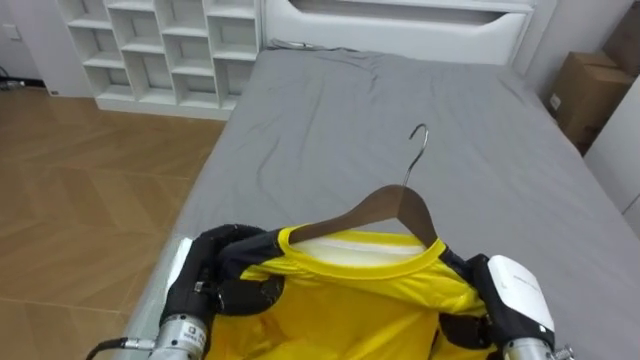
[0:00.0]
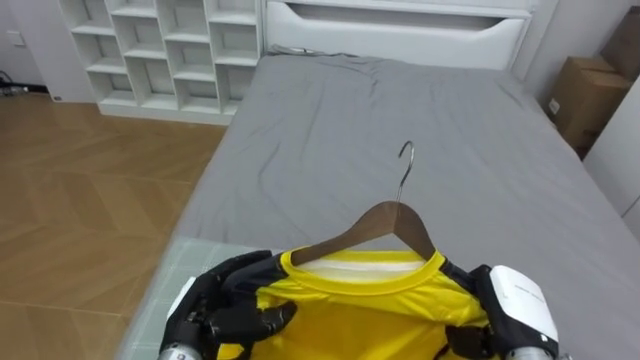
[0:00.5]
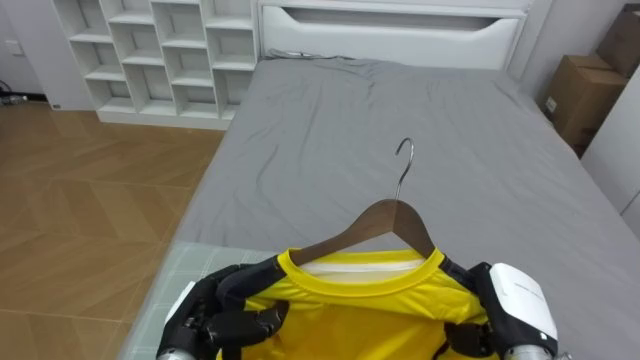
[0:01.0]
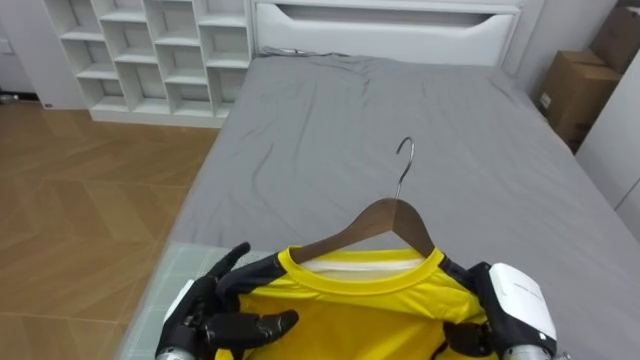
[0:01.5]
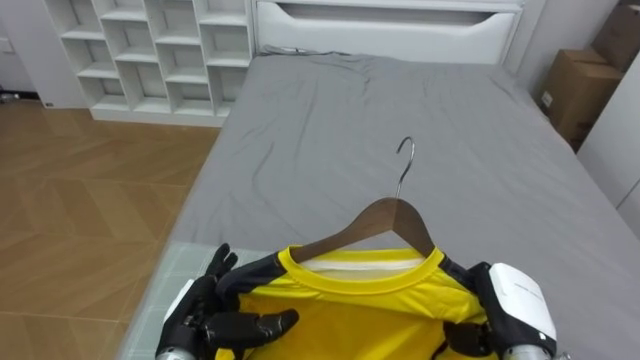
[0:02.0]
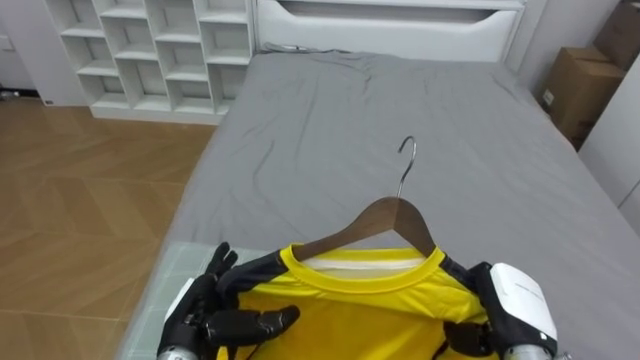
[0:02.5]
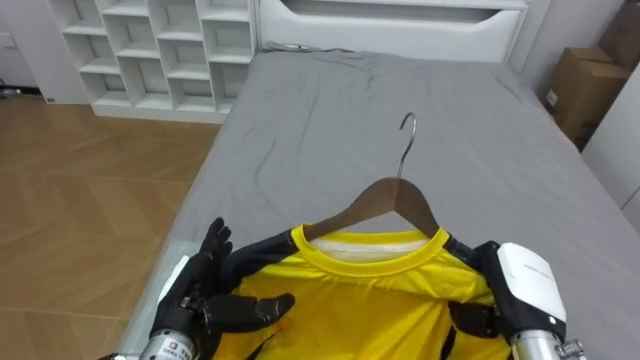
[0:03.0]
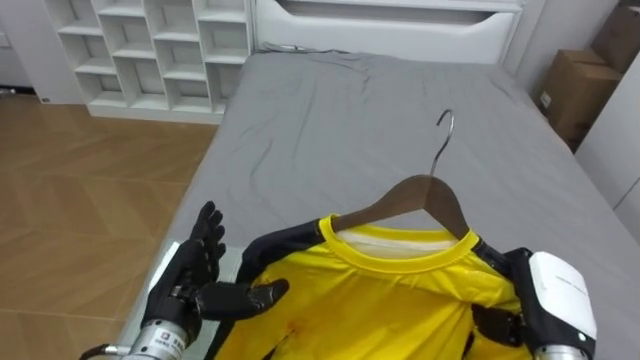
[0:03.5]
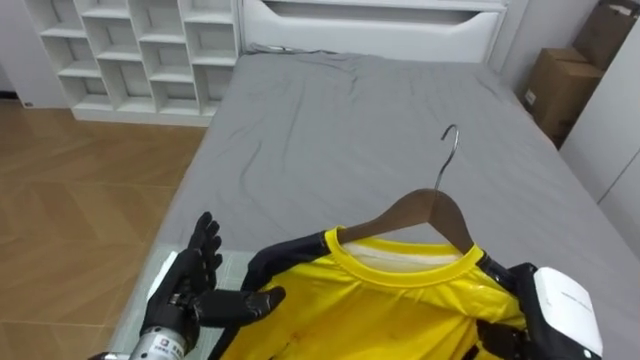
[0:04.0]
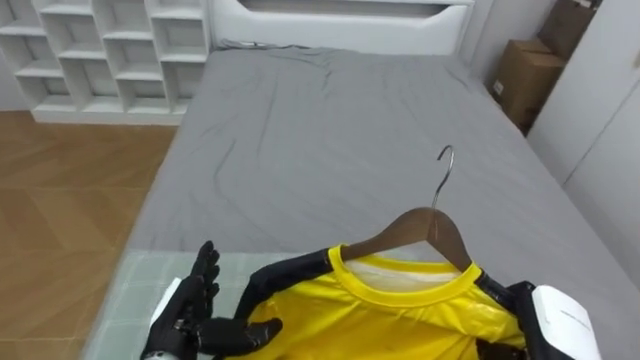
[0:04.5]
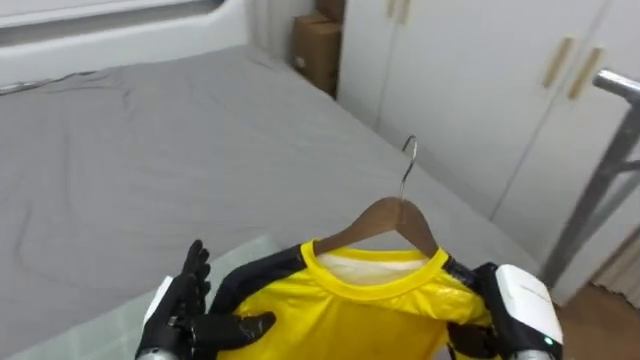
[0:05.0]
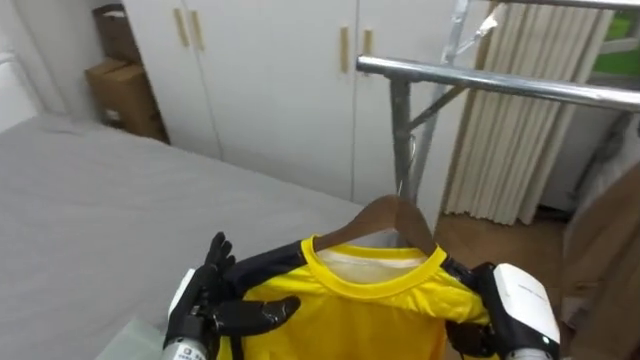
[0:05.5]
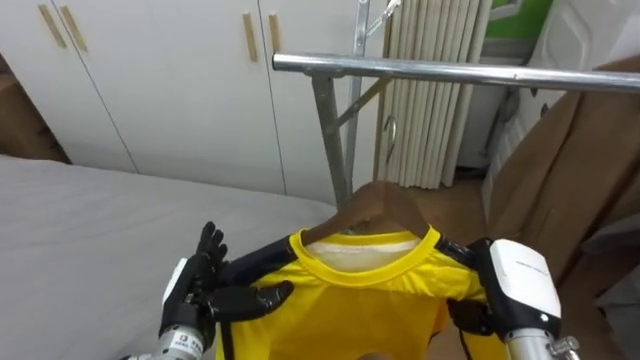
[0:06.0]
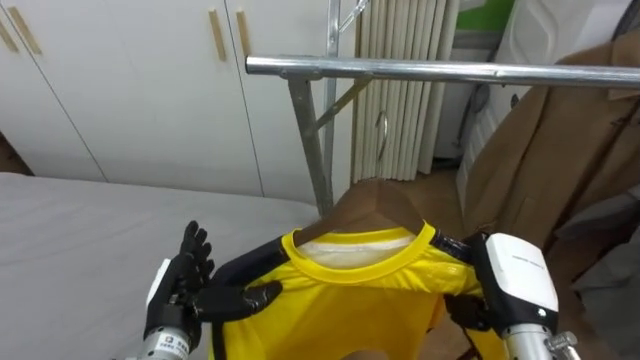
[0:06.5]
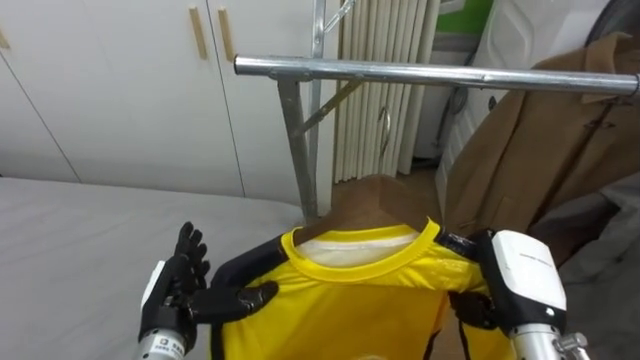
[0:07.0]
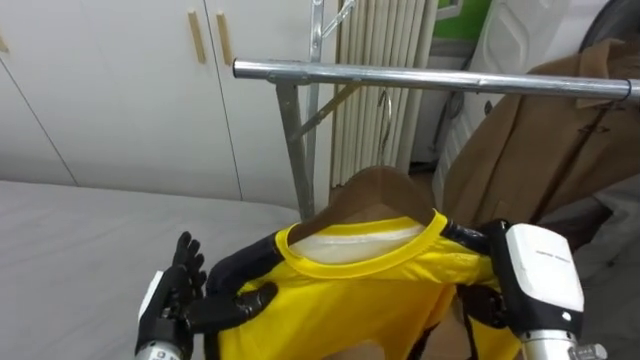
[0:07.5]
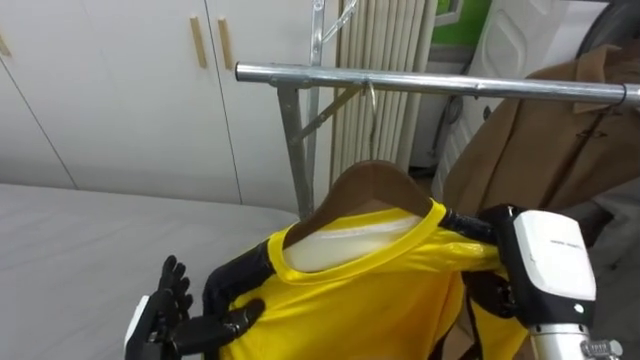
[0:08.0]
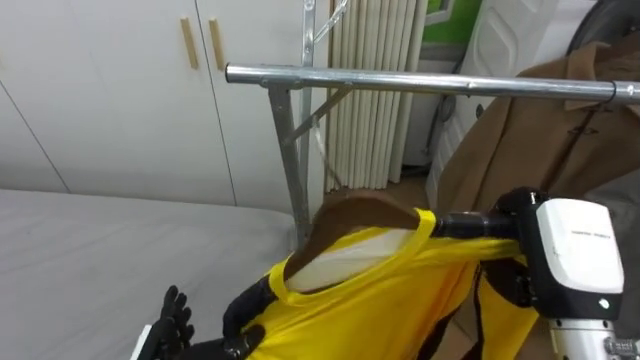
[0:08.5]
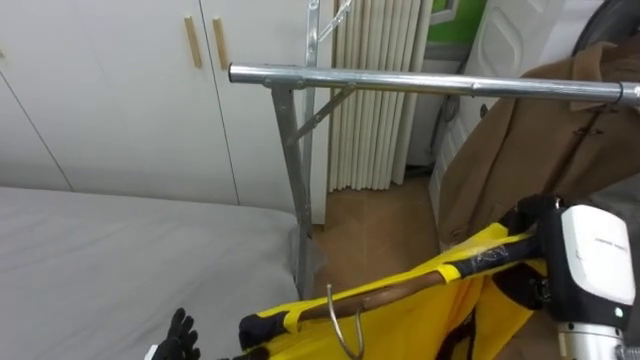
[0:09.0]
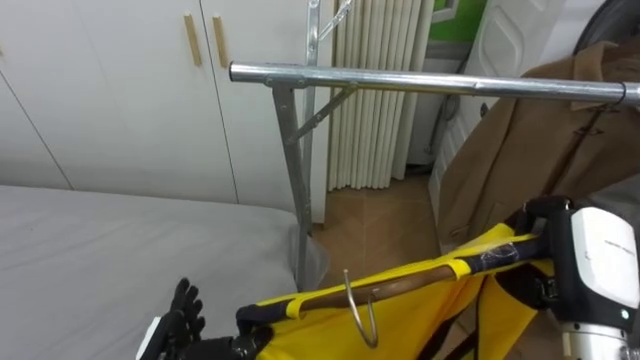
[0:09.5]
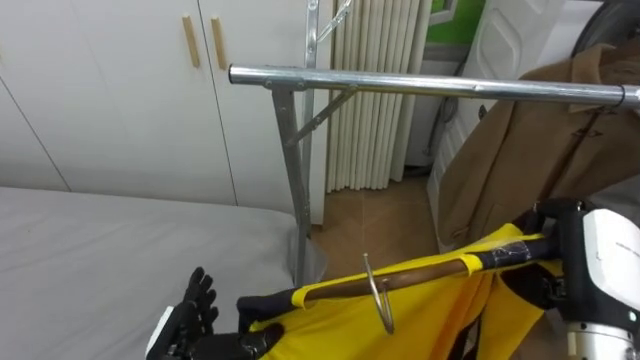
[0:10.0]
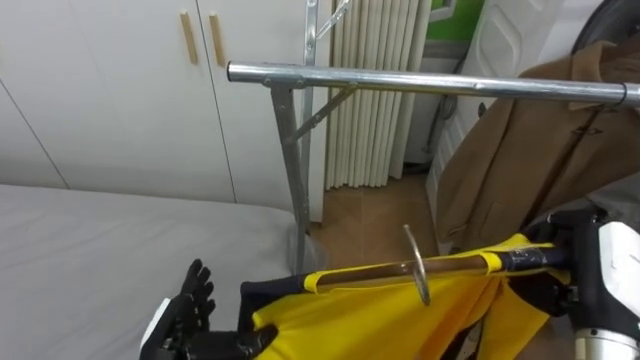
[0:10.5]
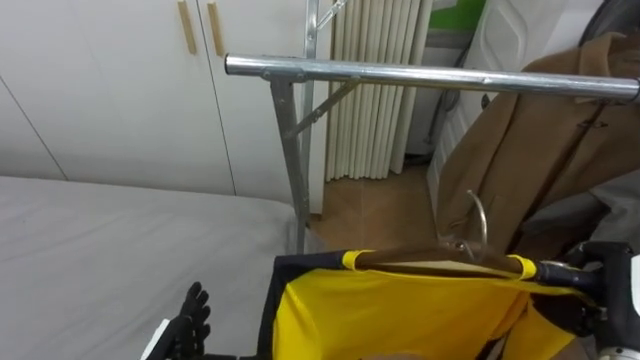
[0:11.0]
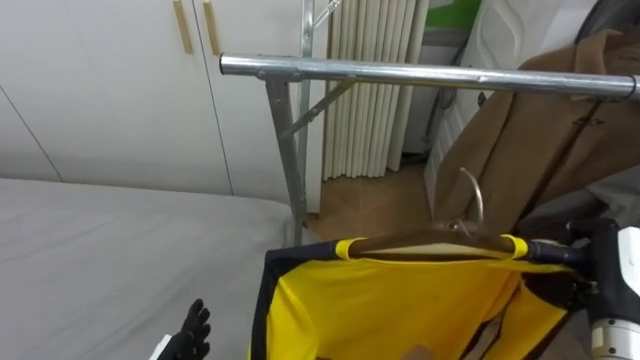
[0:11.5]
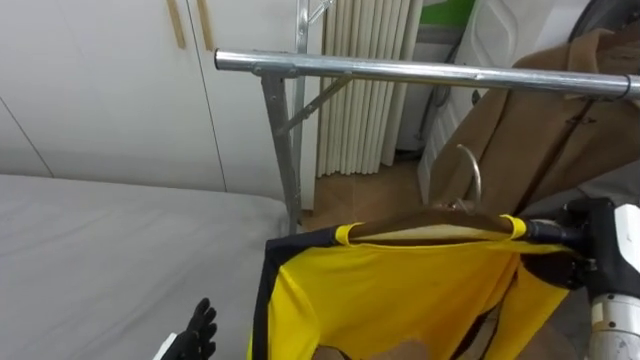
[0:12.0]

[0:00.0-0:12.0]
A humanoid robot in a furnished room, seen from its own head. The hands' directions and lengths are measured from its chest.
Task of the whole recording: Pick up the yellow shirt on the bed and hang it on the clothes rack on the right.
0:00.0 to 0:02.0: The left hand moves about 5 cm, and opens.
0:04.0 to 0:06.0: The robot turns to its right by some 80 degrees. The right hand ends up some 5 cm from where it was.
0:06.0 to 0:08.0: The right hand heads upward, covering roughly 5 cm. The left hand moves approximately 5 cm.
0:10.0 to 0:12.0: The right hand changes place by some 5 cm.

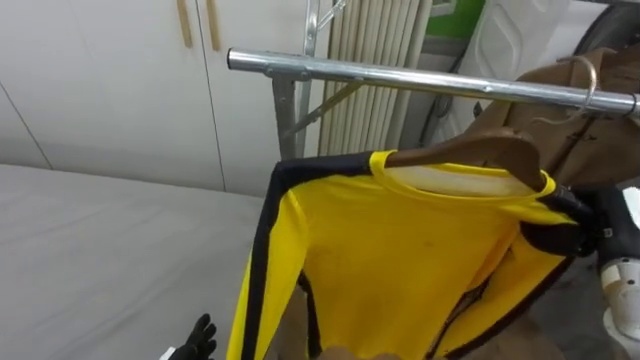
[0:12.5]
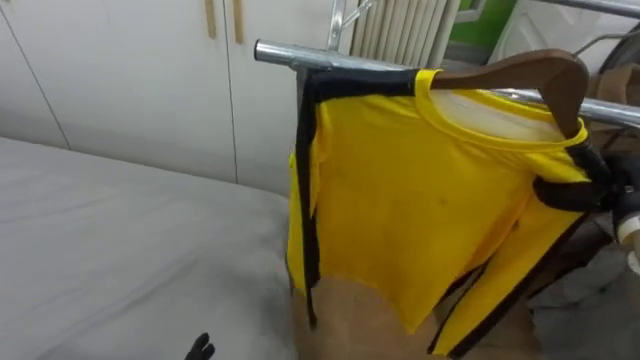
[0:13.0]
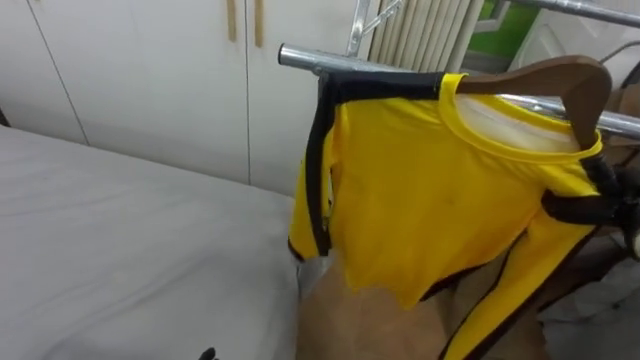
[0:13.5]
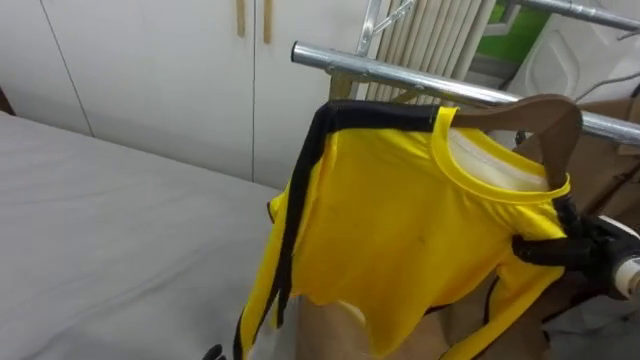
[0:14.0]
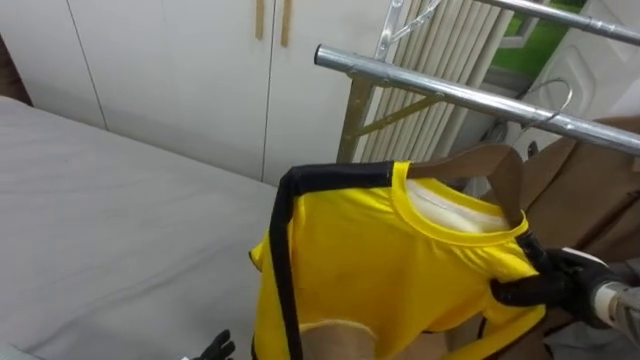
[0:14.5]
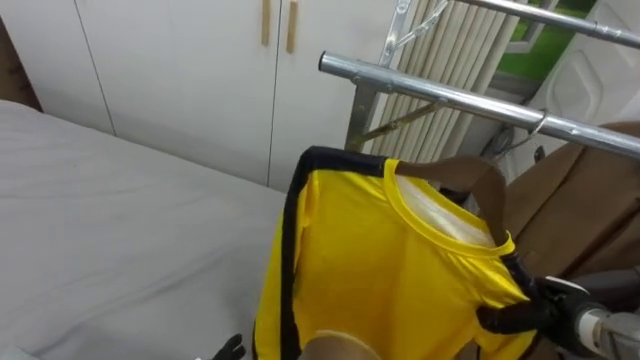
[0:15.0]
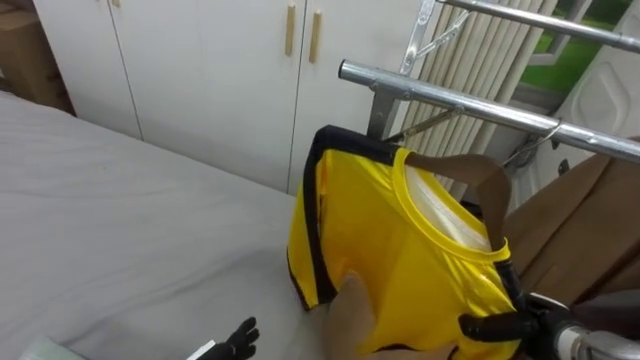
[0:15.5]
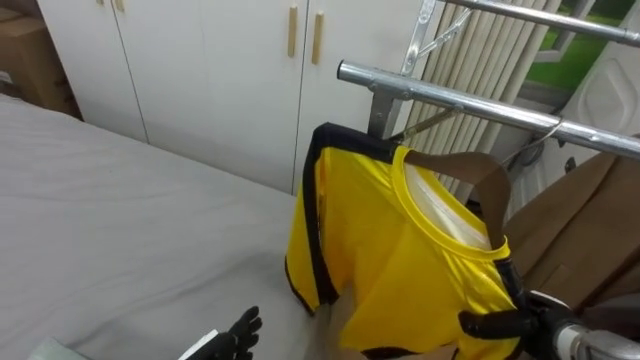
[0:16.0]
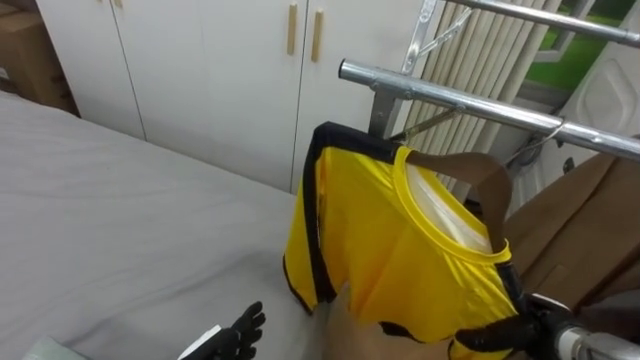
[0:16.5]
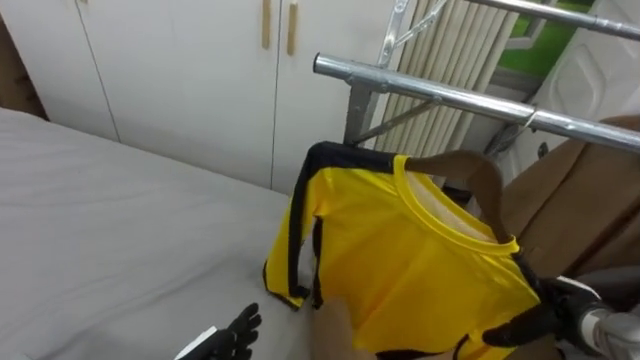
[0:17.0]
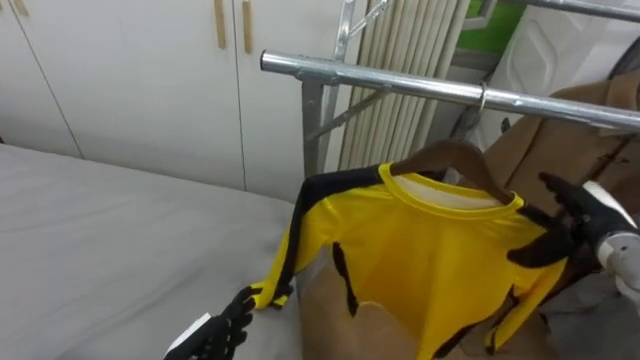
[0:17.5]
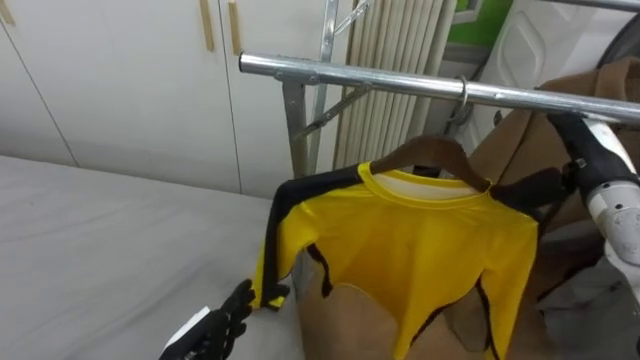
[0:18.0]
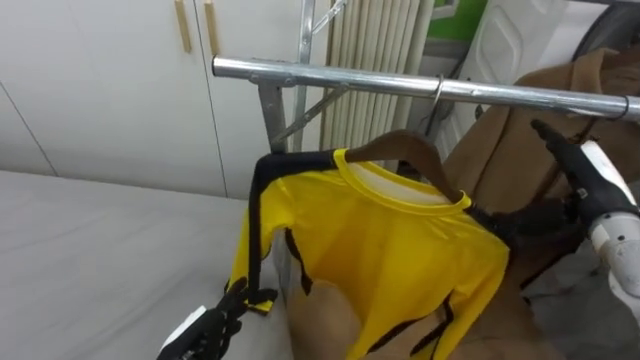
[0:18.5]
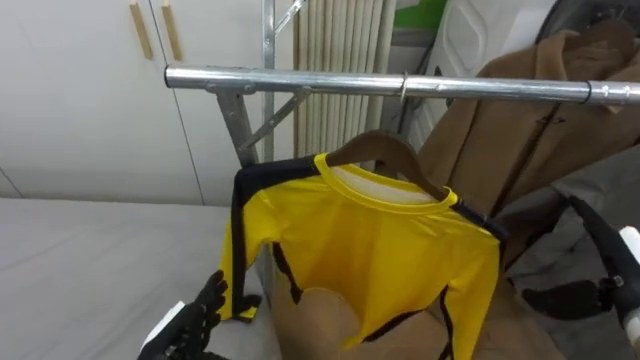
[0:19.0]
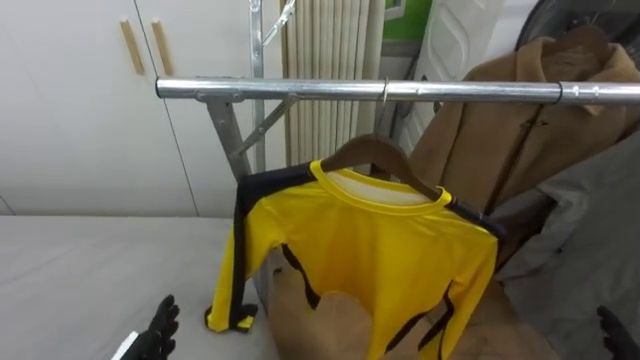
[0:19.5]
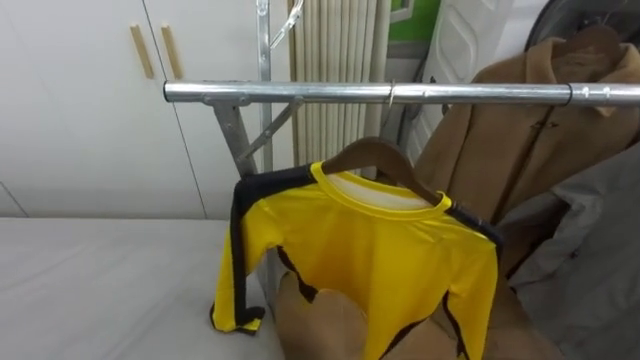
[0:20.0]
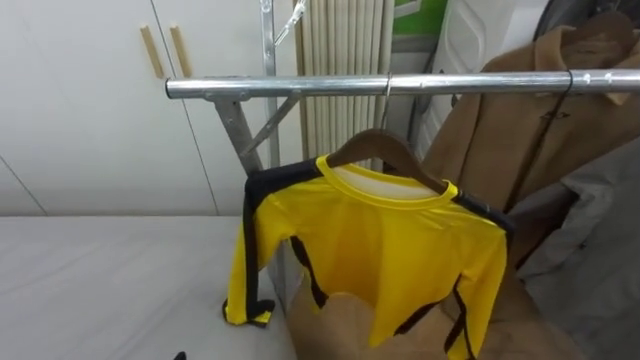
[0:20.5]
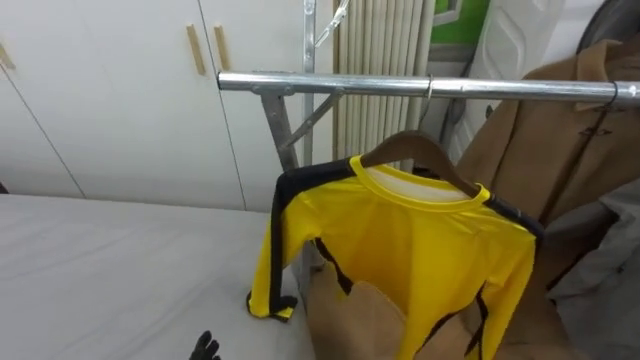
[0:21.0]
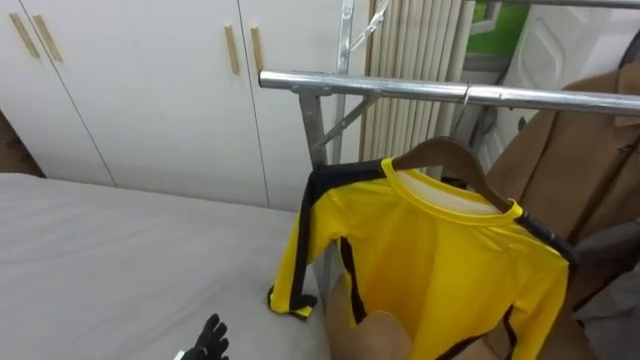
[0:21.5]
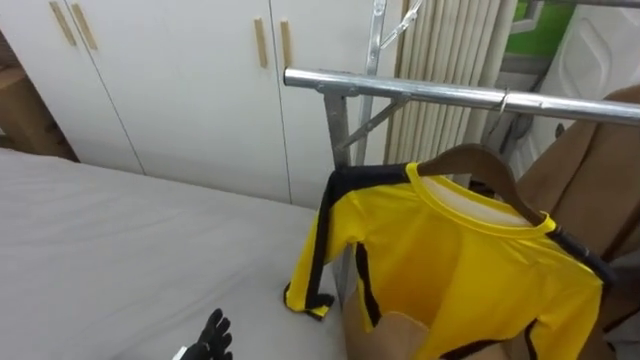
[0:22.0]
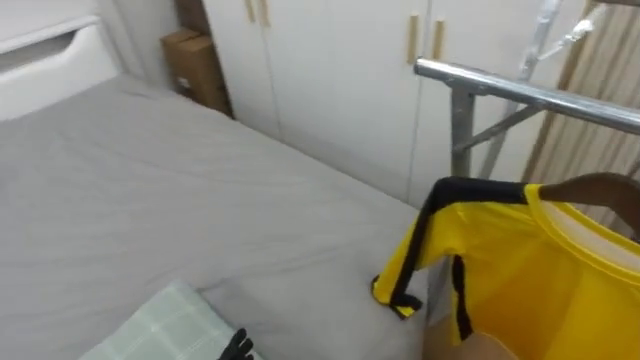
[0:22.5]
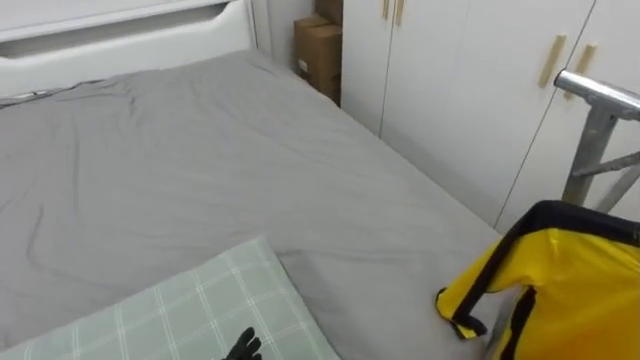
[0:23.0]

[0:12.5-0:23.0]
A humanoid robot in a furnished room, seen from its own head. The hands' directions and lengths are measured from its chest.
Task of the whole recording: Pick up the yellow shirt on the bed and hang it on the clothes rack on the right.
0:12.5 to 0:14.5: The right hand is displaced downward by roughly 10 cm.
0:14.5 to 0:16.5: The right hand goes some 5 cm downward.
0:16.5 to 0:19.0: The right hand heads upward and to the right, covering about 15 cm, and opens up.
0:21.0 to 0:23.0: The robot rotates some 50 degrees to its left.
